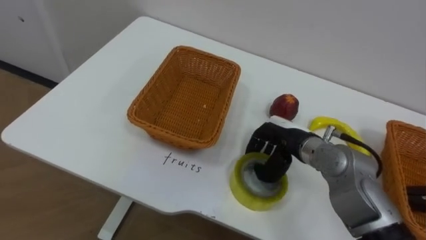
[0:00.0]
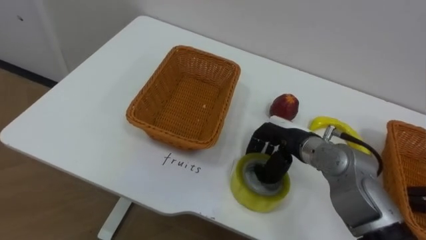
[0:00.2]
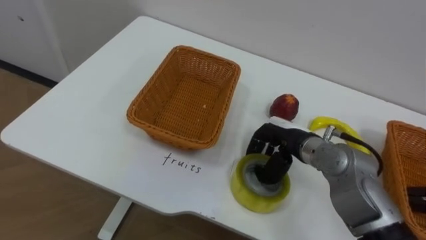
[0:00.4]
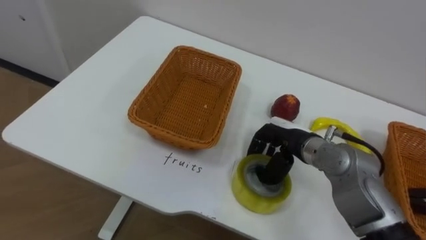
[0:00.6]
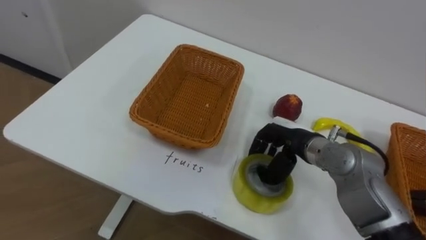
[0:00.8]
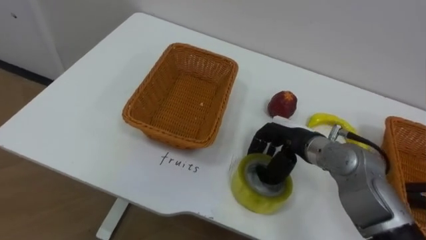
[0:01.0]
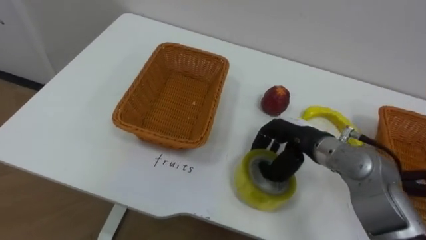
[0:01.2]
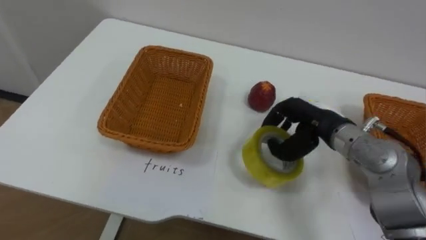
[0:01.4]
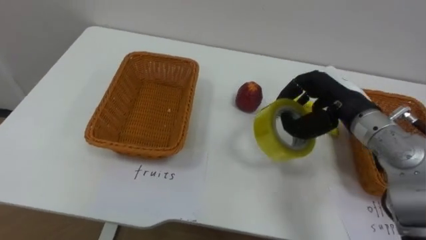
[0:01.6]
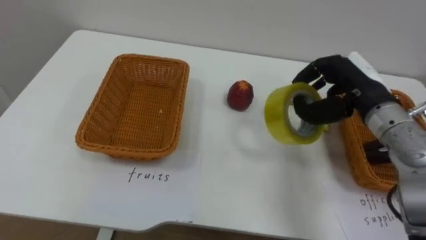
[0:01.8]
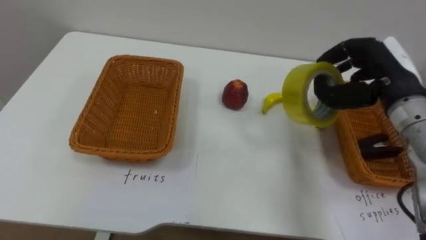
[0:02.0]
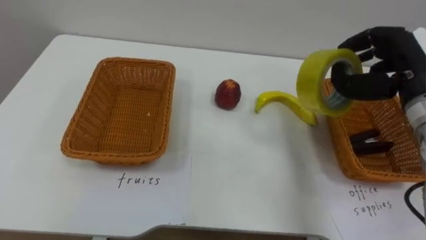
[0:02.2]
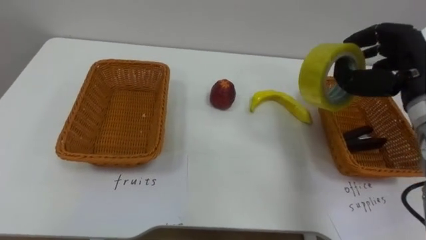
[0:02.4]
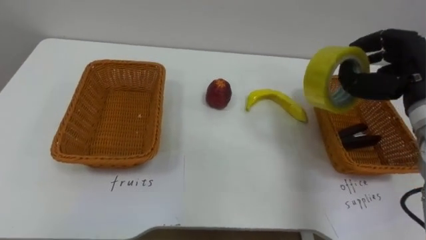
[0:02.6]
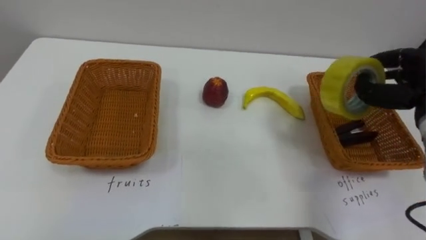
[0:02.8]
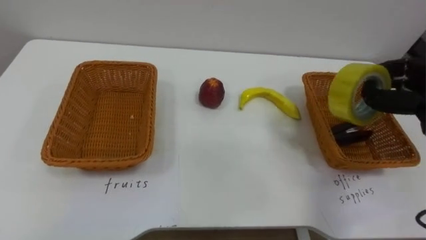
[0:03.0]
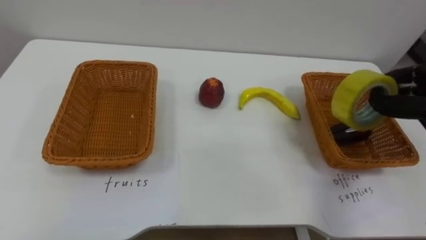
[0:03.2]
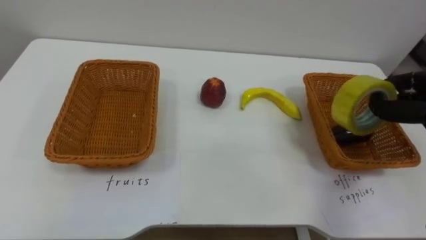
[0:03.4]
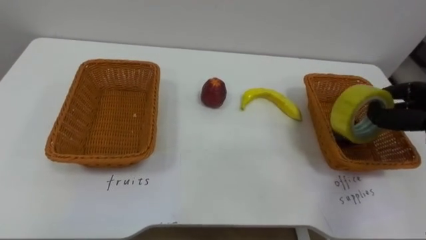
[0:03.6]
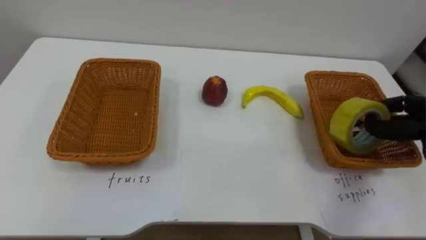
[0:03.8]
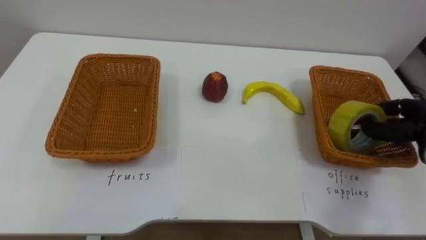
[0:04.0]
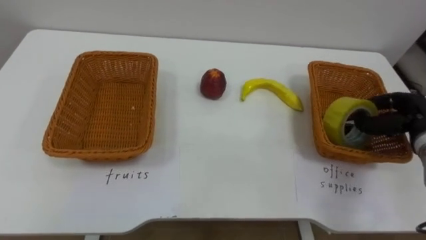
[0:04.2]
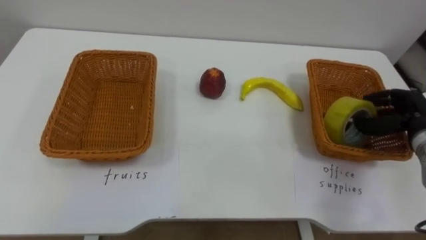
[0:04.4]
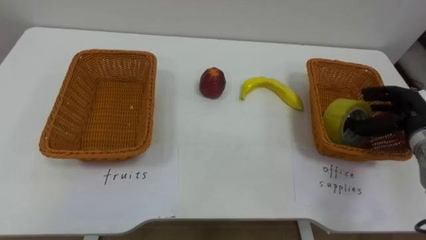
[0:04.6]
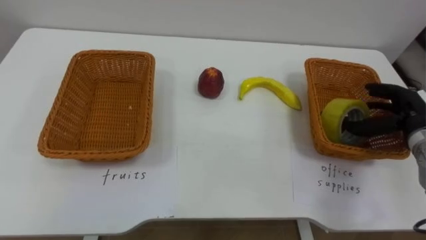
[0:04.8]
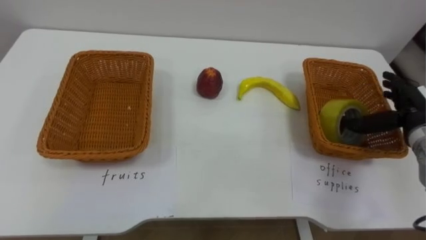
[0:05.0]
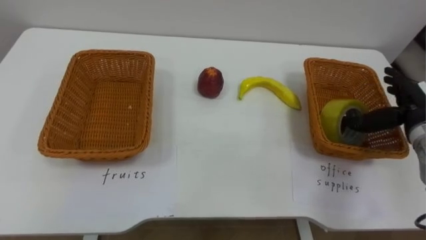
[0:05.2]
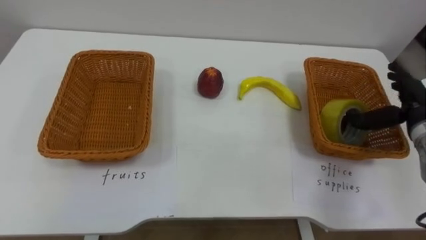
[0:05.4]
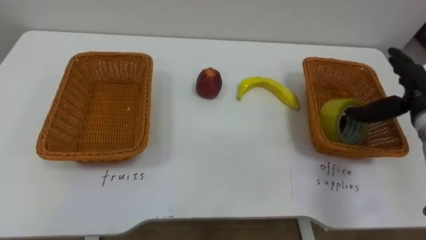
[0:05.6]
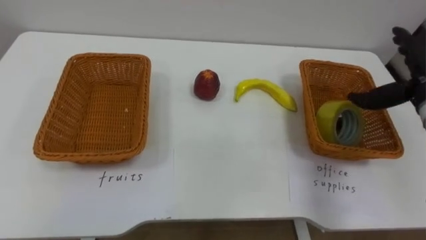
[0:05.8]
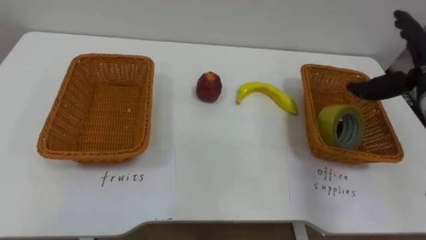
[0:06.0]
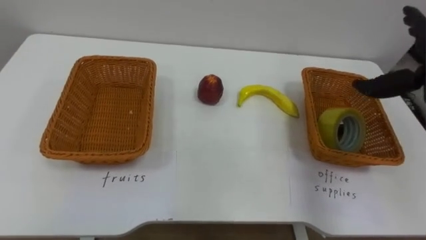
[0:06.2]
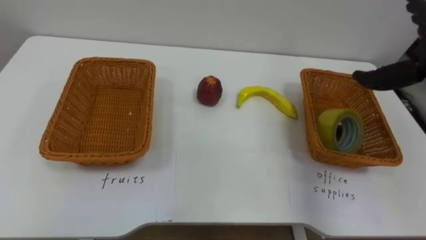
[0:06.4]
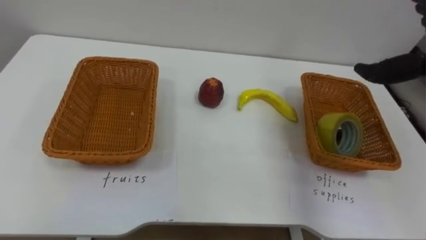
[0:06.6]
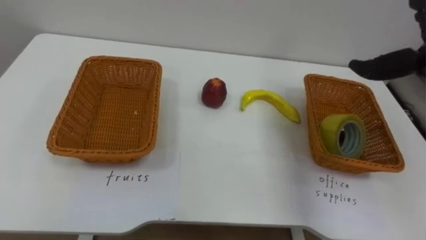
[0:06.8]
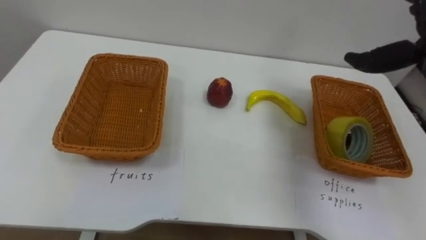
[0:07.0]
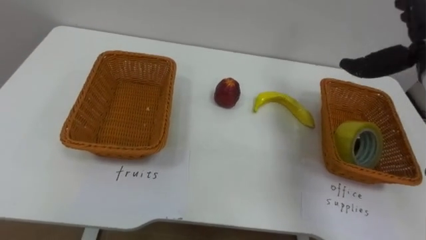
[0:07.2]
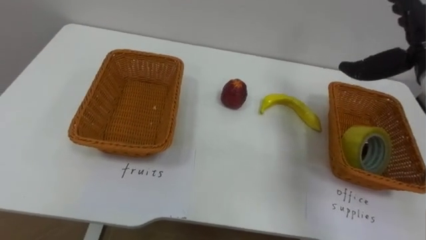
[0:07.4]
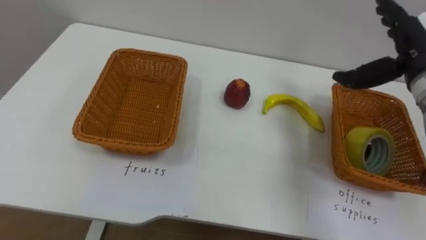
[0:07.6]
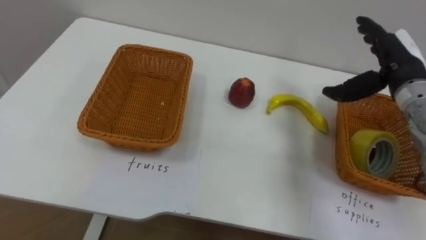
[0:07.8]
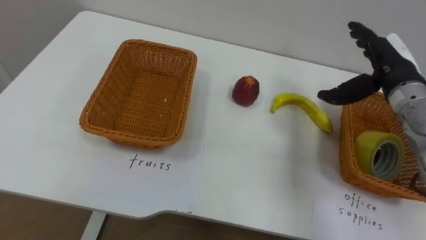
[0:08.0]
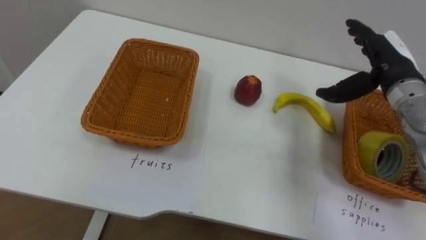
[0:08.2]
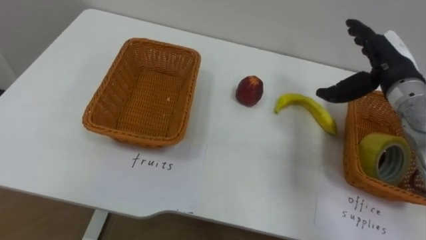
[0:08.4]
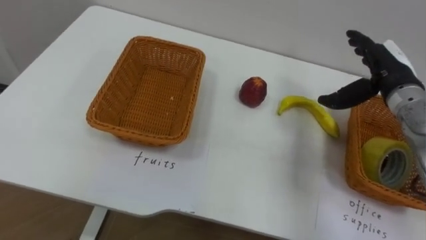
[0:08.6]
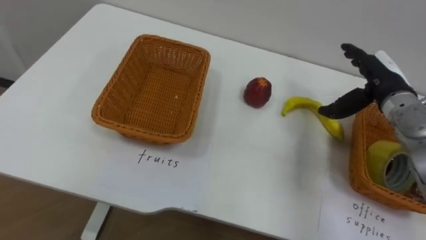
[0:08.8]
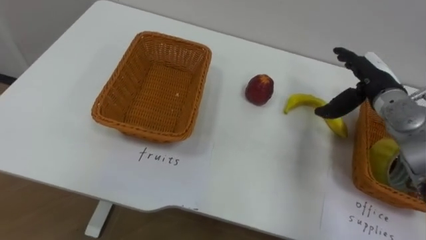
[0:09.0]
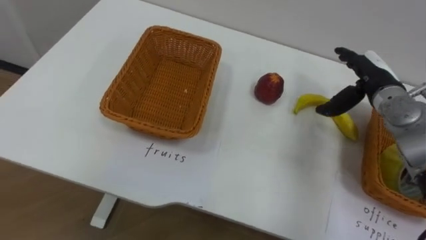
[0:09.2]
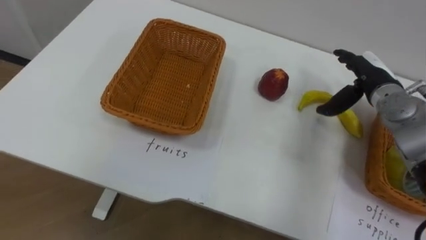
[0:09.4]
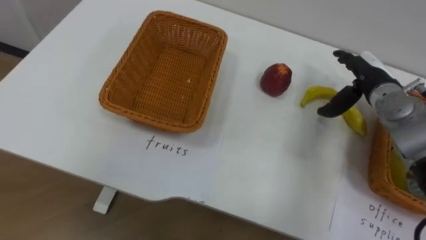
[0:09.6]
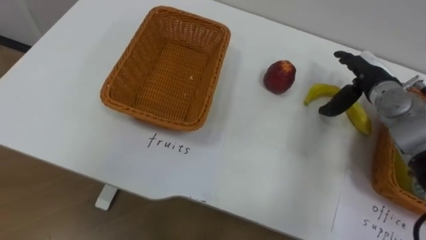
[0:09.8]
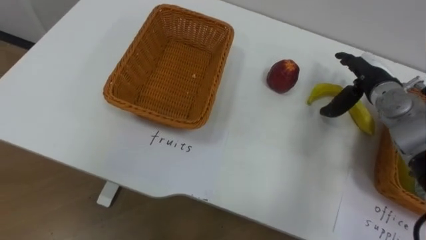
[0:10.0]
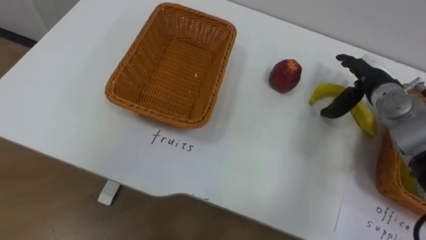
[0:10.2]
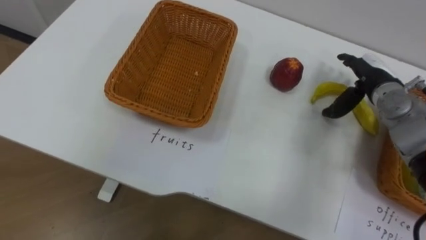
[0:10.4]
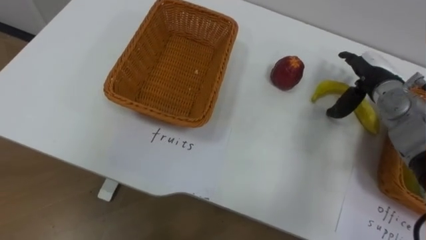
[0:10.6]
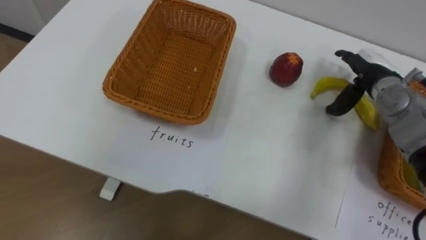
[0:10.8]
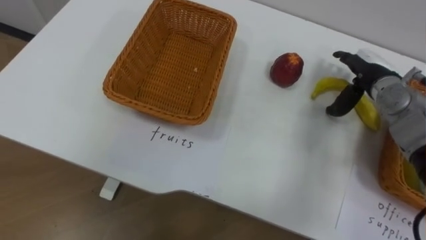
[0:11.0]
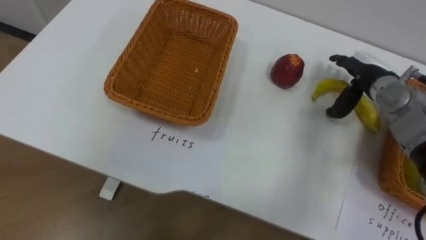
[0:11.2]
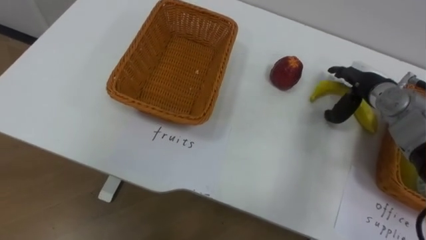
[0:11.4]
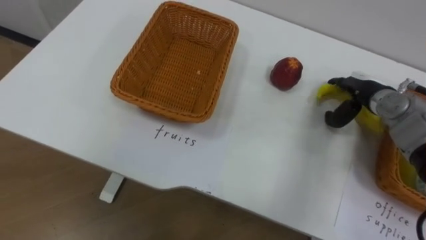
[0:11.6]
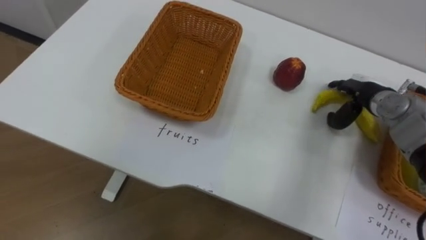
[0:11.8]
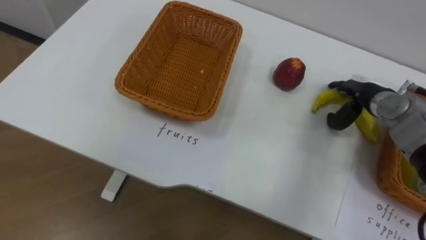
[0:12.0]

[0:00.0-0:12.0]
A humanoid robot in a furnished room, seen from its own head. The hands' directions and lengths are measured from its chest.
Task of the whole recording: Separate the items on the table and place them into the two baskets.
0:00.0 to 0:01.6: The right hand goes about 10 cm upward and to the right.
0:04.4 to 0:06.0: The right hand heads upward, covering approximately 10 cm, and opens.
0:07.6 to 0:09.0: The right hand goes some 10 cm downward.

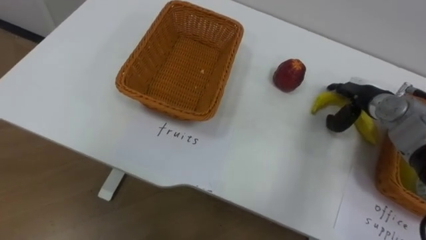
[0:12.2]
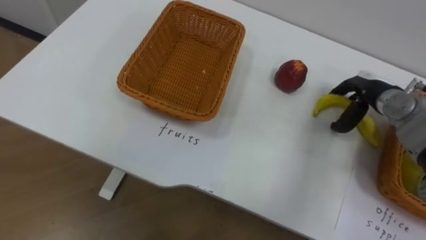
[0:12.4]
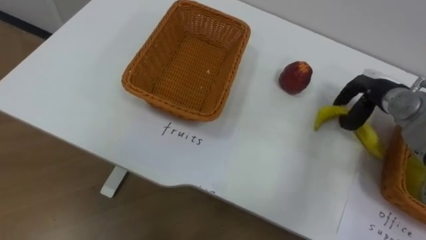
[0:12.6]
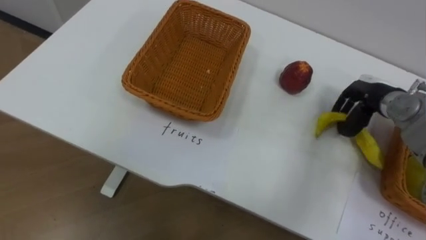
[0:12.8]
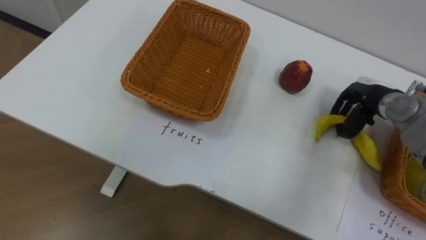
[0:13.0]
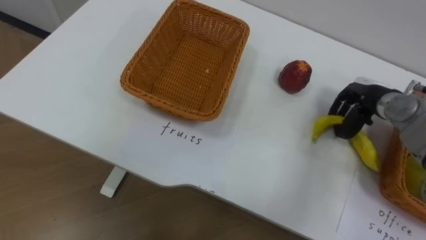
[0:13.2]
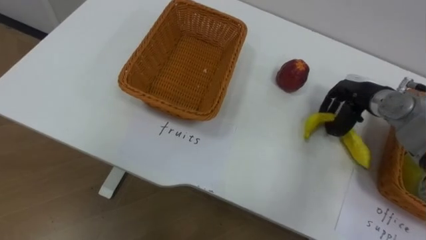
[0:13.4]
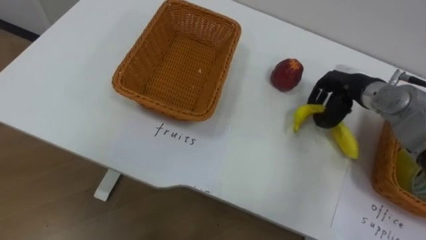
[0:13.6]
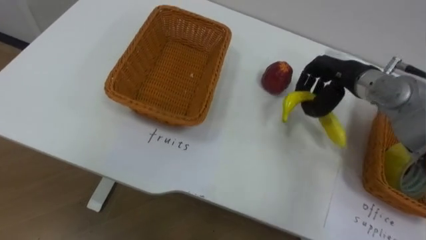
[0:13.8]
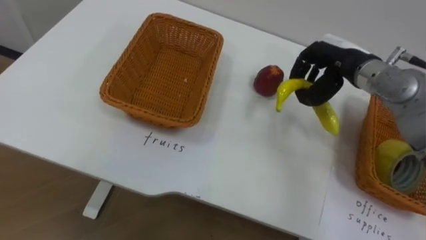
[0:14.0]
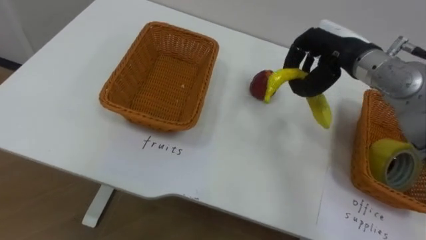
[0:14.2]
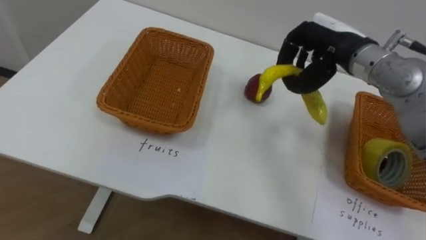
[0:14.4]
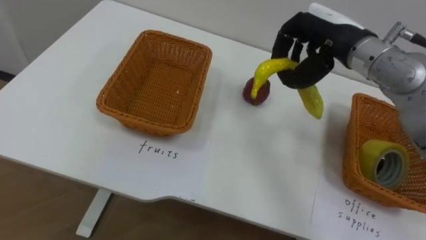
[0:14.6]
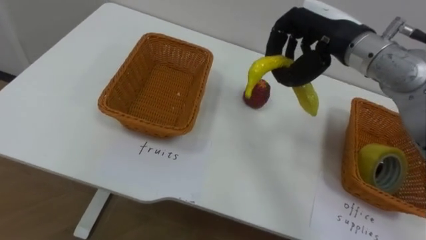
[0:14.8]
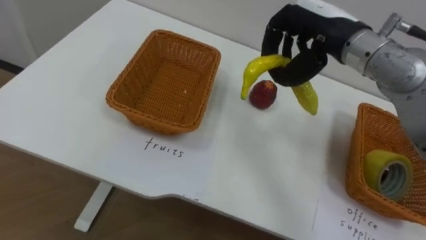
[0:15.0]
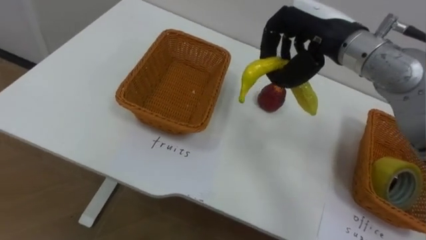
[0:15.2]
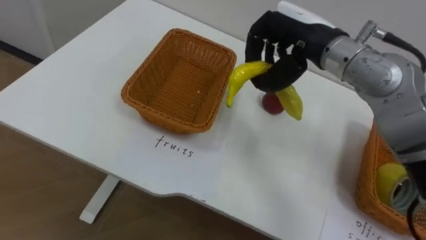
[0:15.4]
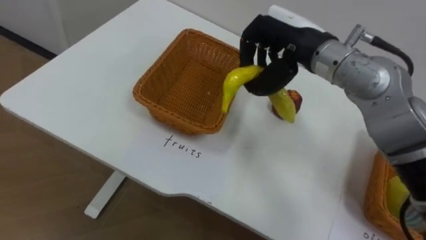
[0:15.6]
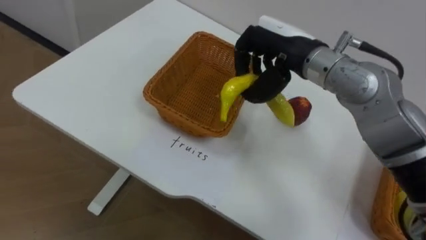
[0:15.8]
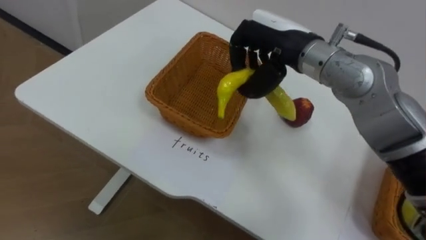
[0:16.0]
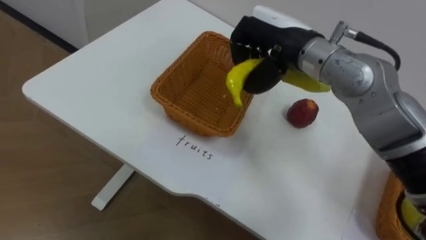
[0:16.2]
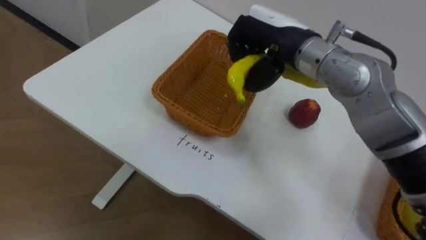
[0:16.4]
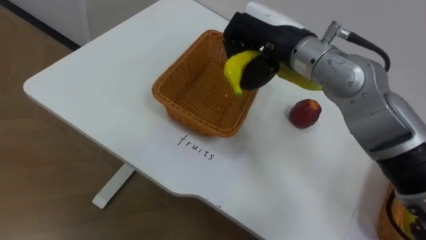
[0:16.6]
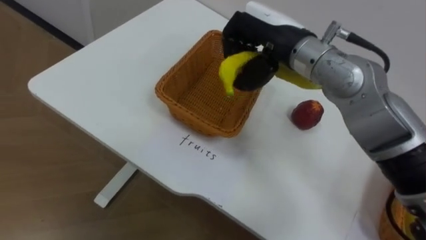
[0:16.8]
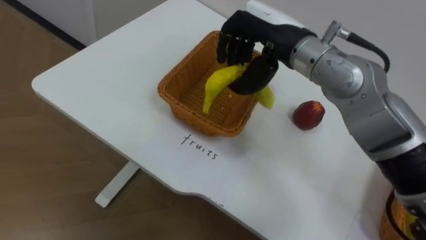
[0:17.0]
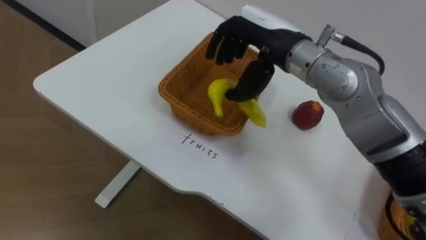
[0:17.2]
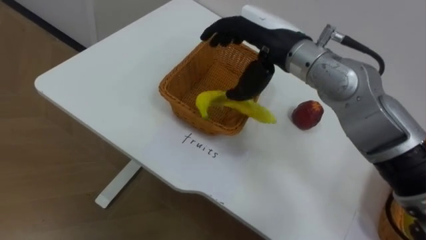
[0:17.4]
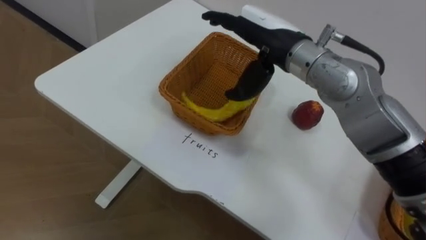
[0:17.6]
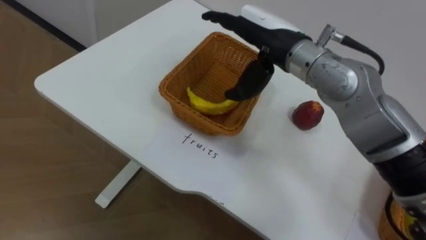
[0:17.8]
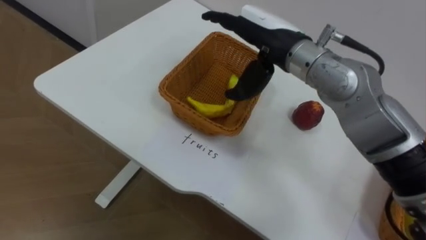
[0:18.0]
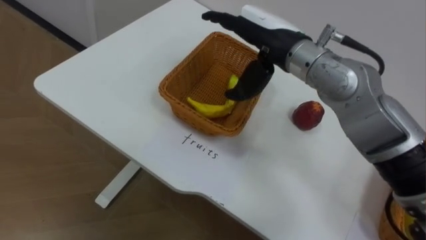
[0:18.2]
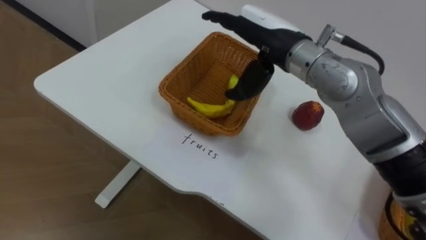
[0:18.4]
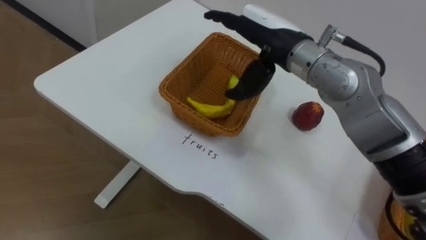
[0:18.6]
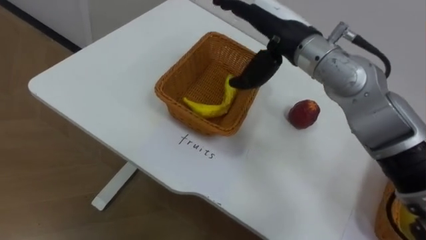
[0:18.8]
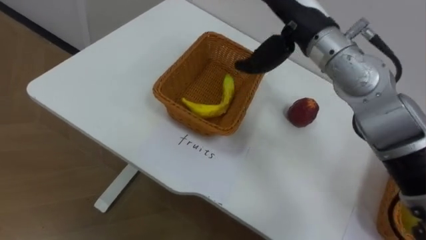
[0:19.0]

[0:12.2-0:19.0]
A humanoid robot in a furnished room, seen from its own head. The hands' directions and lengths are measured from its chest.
Task of the whole recording: Separate the items on the table and place them into the two baskets.
0:12.2 to 0:13.6: The right hand closes its fingers.
0:13.6 to 0:15.0: The right hand moves upward and to the left, some 20 cm.
0:15.0 to 0:16.2: The right hand moves to the left, about 5 cm.
0:16.2 to 0:17.6: The right hand opens its fingers.
